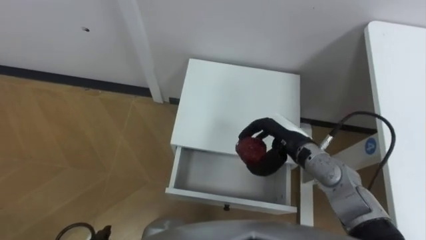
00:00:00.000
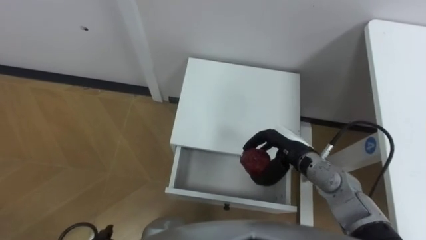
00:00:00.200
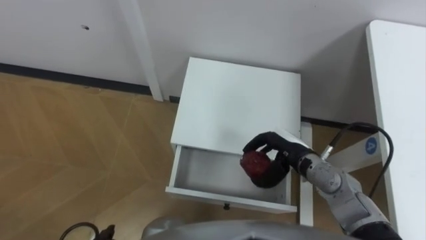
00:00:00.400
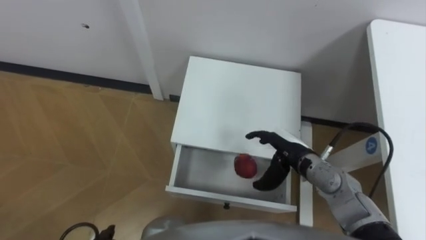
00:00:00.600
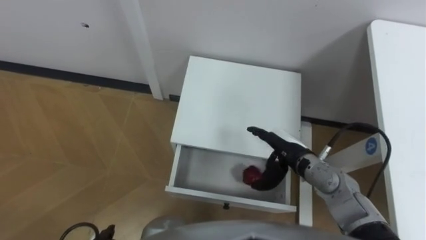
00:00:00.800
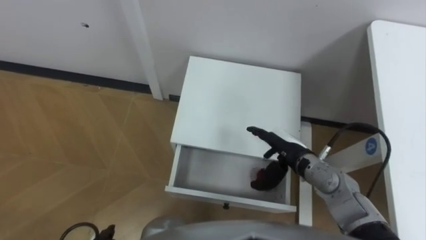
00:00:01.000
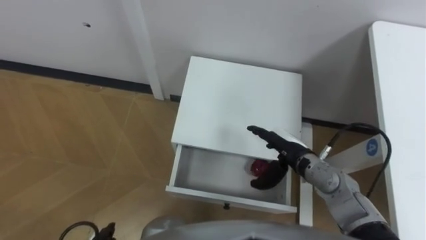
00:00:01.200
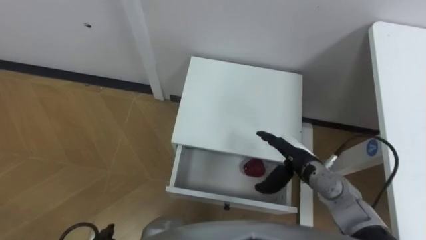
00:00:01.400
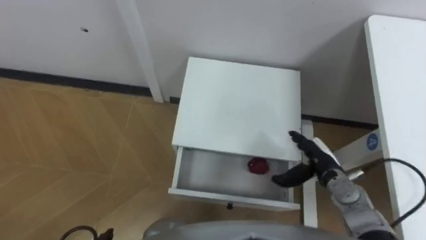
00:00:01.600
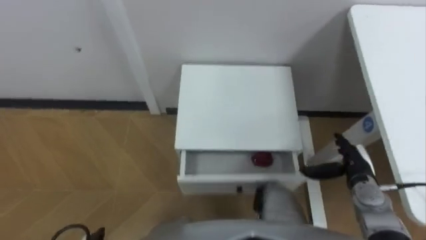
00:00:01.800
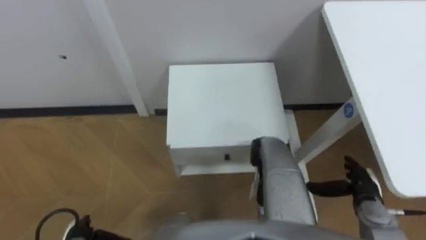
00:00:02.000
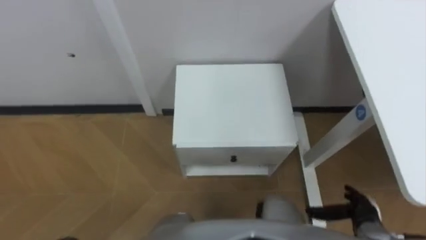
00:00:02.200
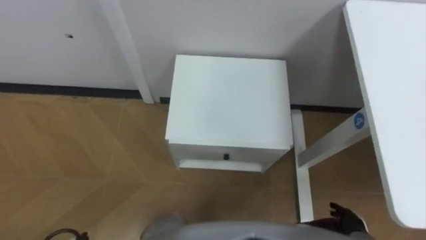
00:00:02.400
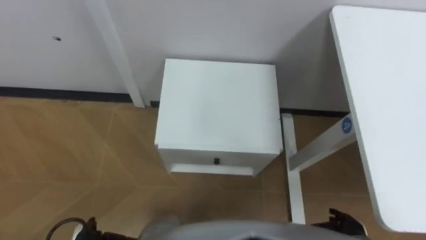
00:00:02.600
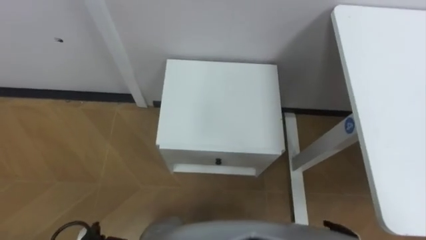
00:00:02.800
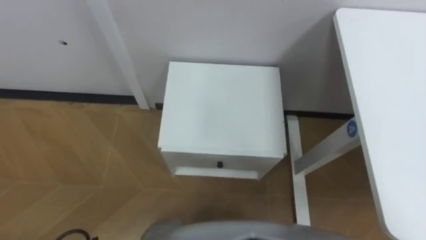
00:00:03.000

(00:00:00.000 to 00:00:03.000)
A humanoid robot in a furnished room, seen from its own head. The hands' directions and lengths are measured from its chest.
Task of the whole recording: Pick up the apple from the table, put it in the drawer, and close the drawer with leg.
00:00:00.000 - 00:00:01.600: The right hand heads to the right and downward, covering about 10 cm, and opens its fingers.

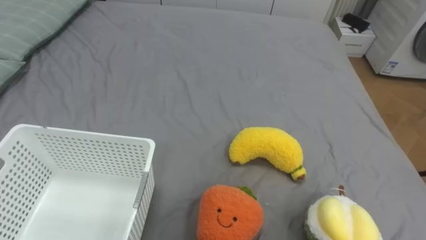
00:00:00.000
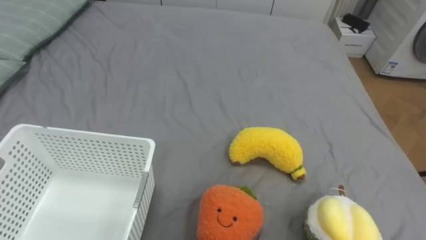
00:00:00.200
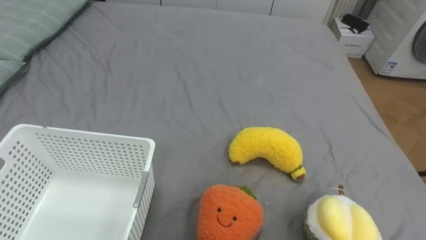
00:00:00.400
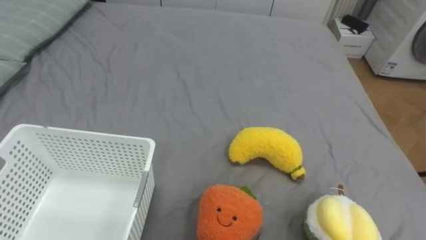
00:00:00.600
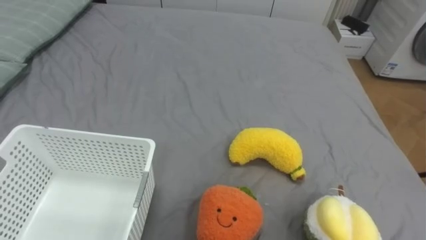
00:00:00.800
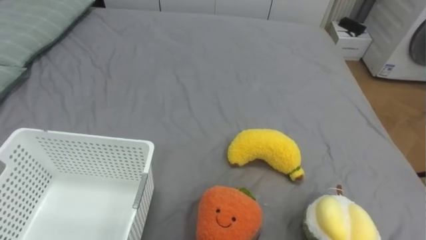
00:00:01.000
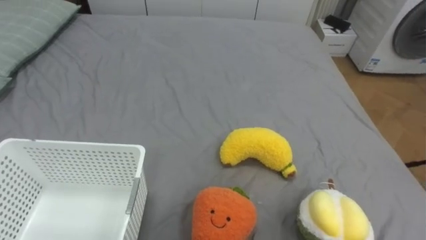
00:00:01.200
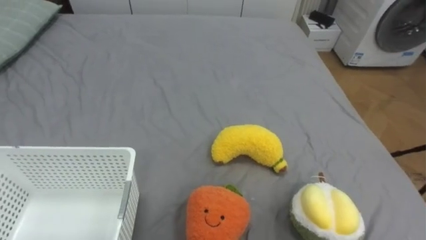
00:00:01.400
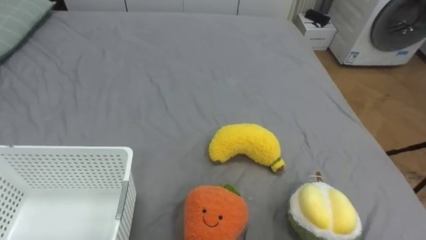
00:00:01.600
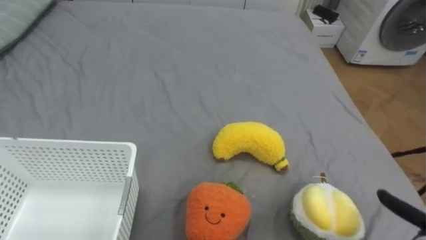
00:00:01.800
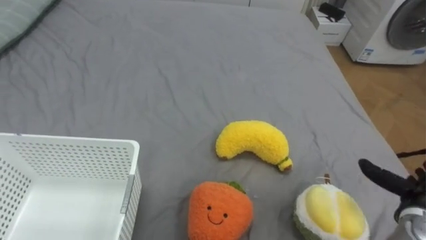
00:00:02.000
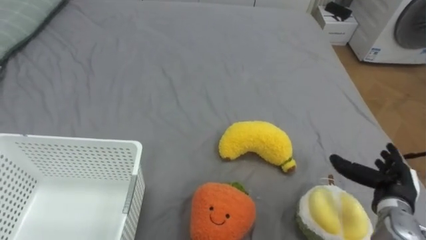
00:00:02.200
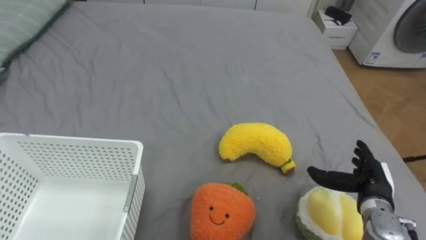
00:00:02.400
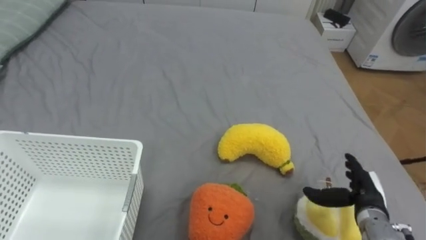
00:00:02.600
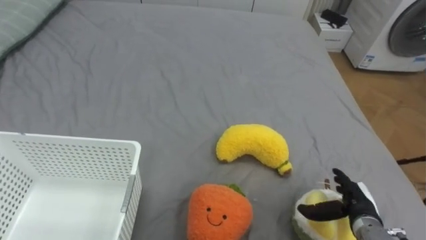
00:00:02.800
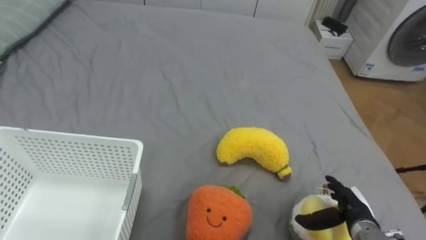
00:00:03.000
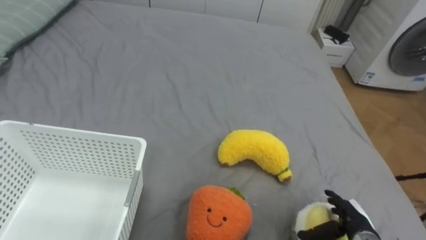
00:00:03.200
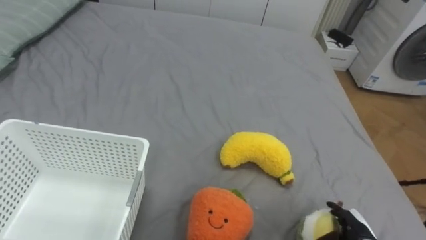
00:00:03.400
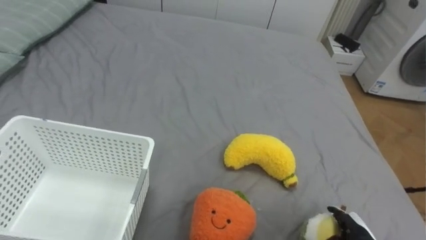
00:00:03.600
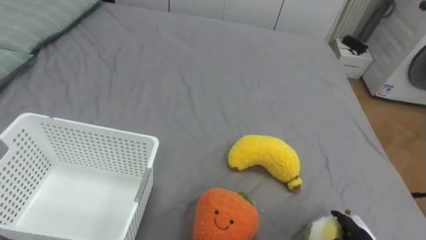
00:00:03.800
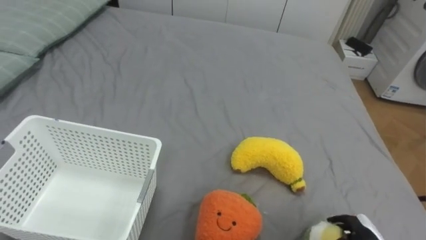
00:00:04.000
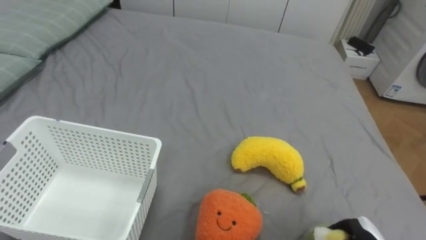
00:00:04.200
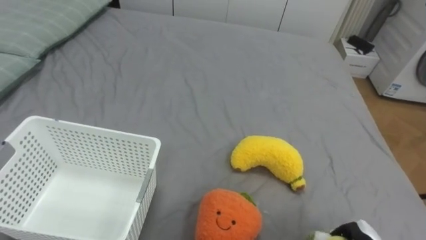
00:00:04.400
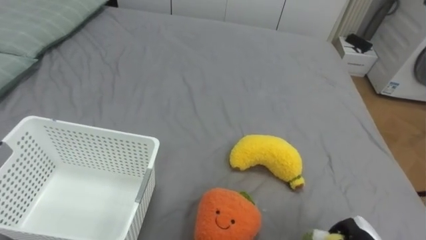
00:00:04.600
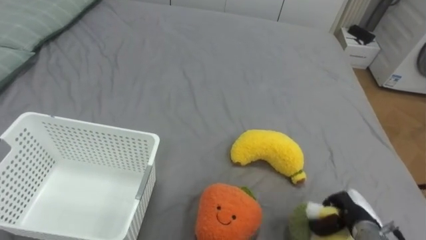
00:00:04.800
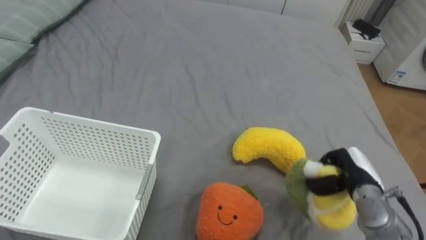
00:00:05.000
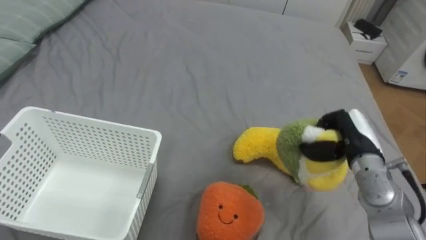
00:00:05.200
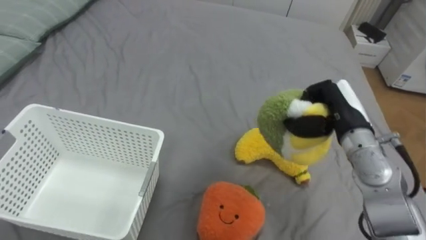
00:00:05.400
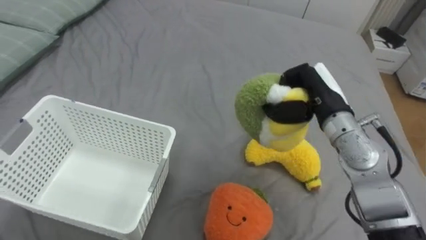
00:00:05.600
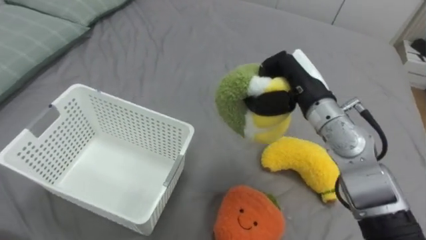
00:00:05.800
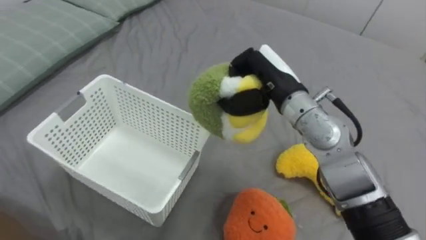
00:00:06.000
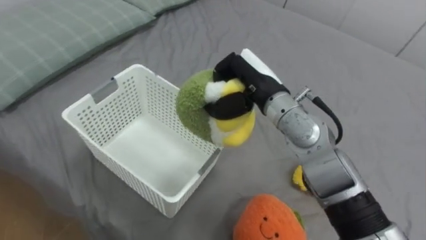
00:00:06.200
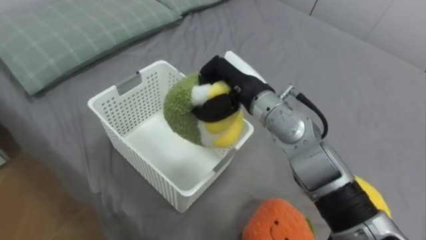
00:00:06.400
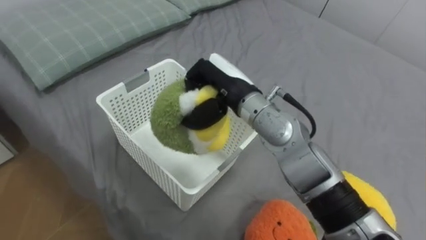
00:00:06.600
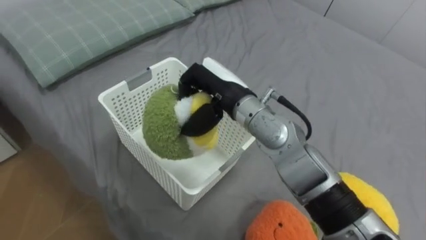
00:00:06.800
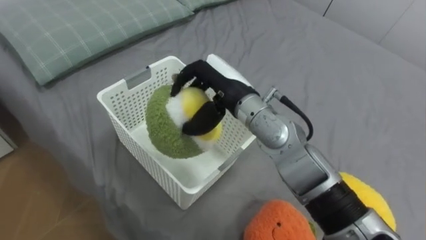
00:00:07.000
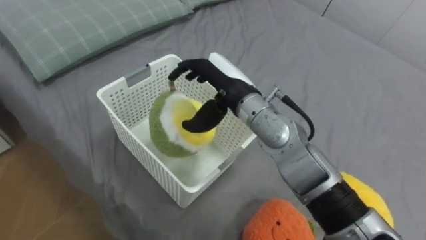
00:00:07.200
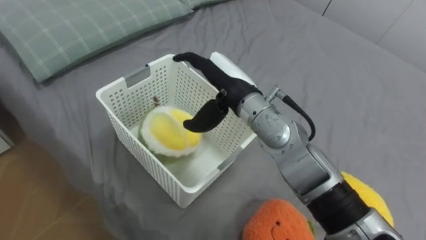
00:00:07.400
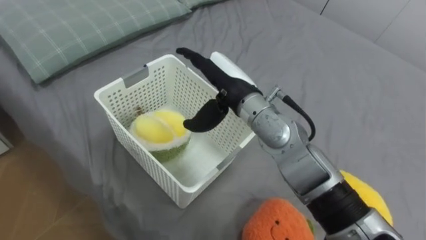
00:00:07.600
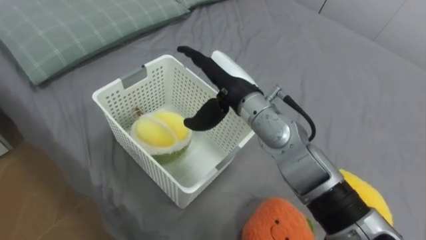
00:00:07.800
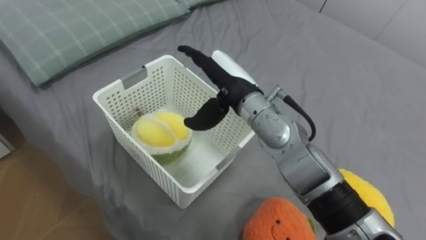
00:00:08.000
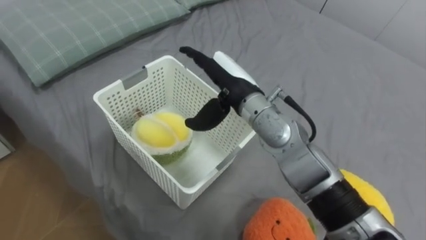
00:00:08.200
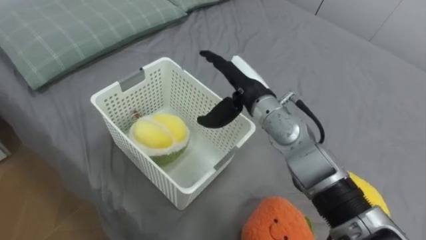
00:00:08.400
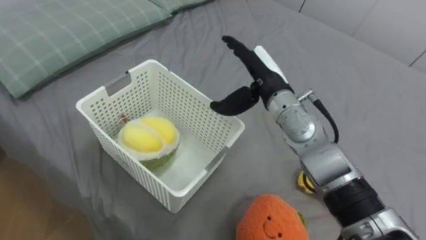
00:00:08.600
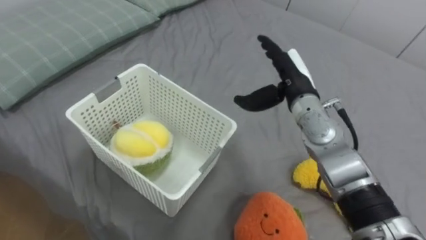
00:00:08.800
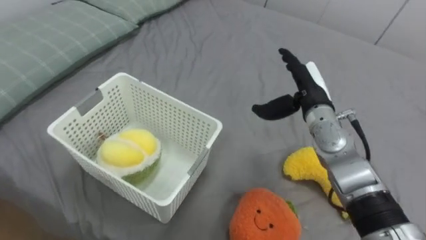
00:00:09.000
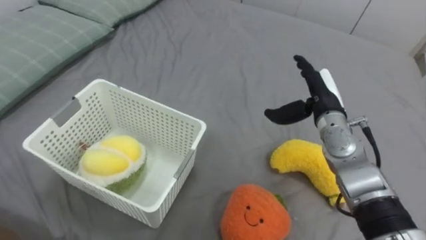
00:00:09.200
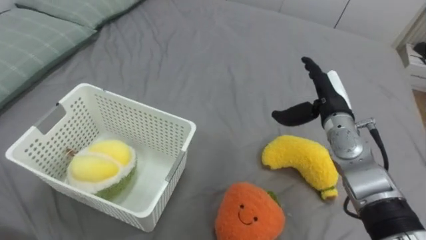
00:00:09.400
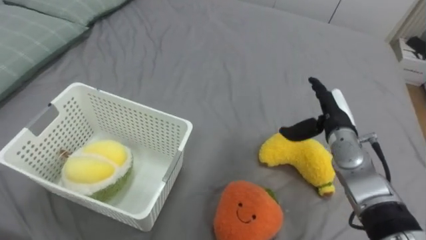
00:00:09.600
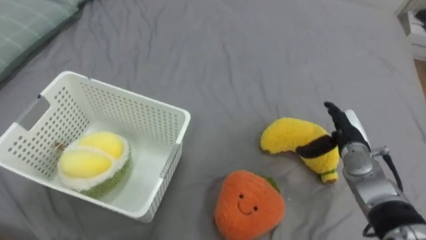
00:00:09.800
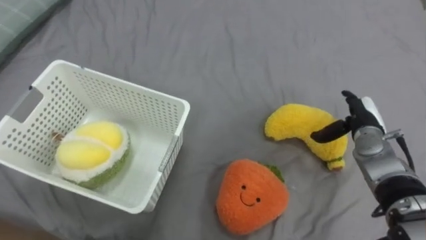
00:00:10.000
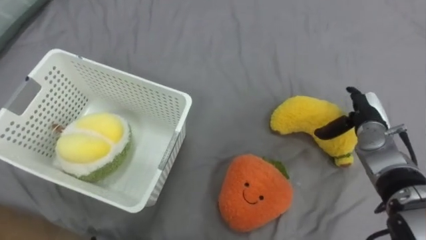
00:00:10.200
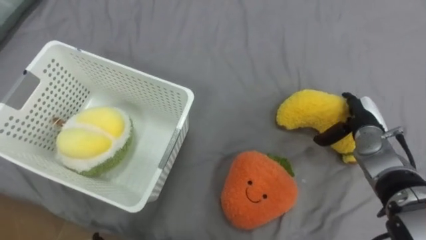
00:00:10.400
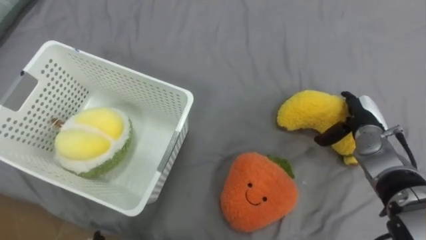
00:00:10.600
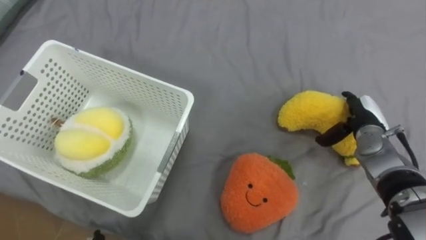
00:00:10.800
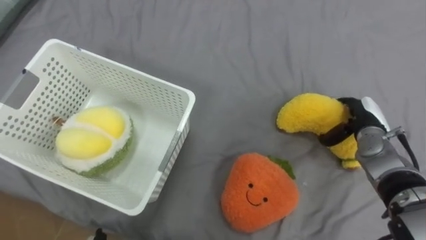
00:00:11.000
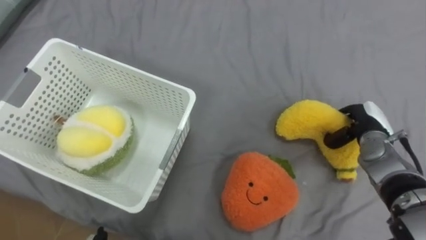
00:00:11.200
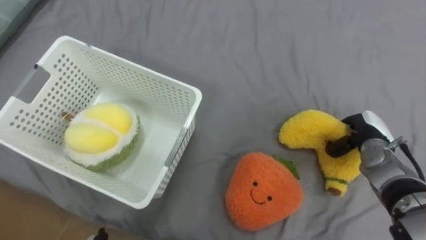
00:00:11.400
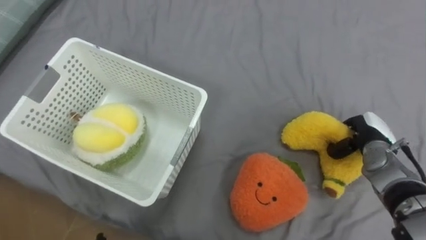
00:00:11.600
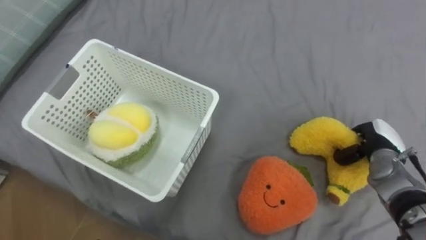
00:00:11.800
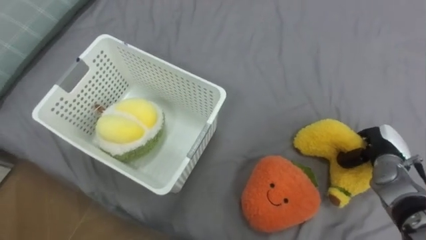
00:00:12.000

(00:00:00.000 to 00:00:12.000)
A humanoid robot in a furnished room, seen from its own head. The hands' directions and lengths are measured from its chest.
Task of the whole recording: Put the toys on the bed into the basket on the left.
00:00:06.000 - 00:00:07.600: The right hand heads to the left, covering about 10 cm, and opens up.
00:00:07.600 - 00:00:09.000: The right hand shifts about 15 cm to the right.
00:00:09.000 - 00:00:10.400: The right hand is displaced to the right and downward by roughly 15 cm.
00:00:10.400 - 00:00:12.000: The right hand ends up approximately 5 cm from where it was, and closes.

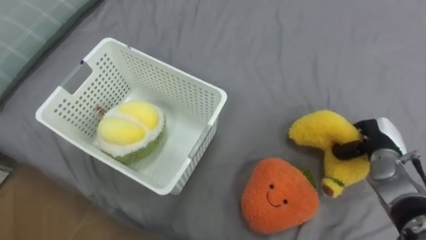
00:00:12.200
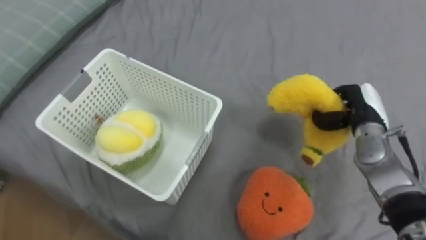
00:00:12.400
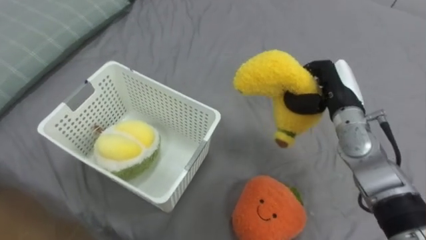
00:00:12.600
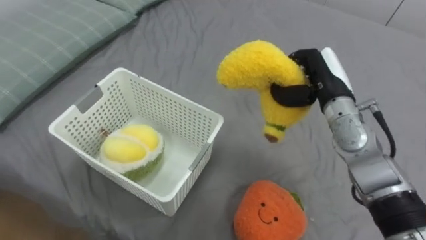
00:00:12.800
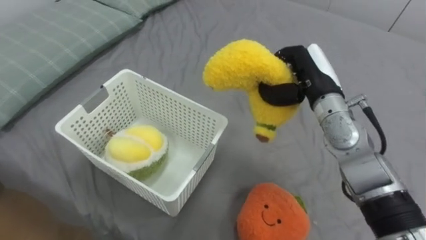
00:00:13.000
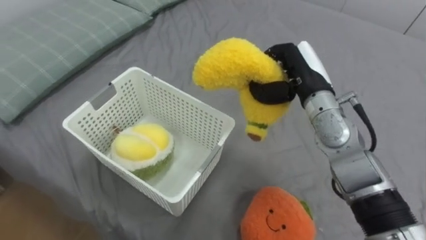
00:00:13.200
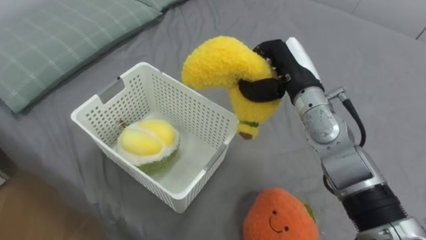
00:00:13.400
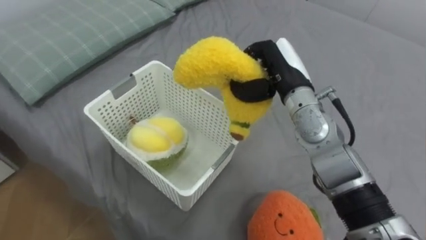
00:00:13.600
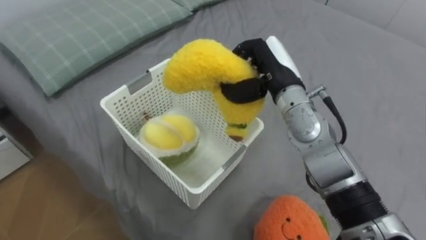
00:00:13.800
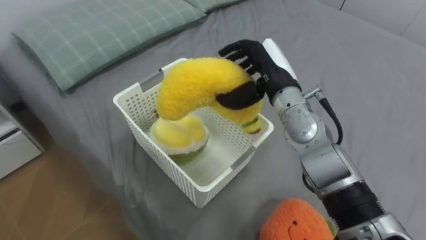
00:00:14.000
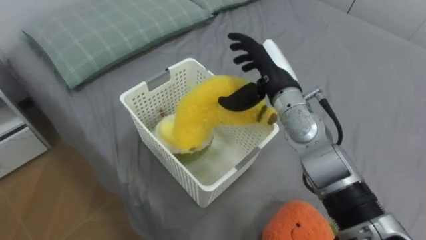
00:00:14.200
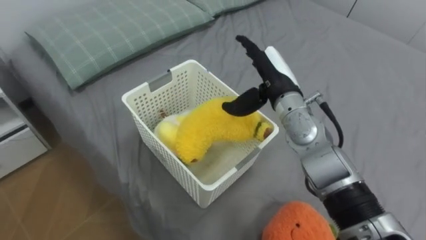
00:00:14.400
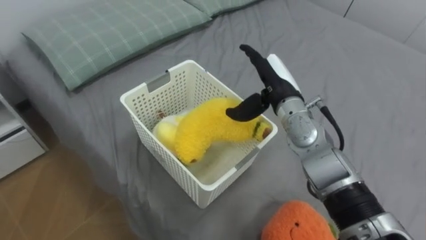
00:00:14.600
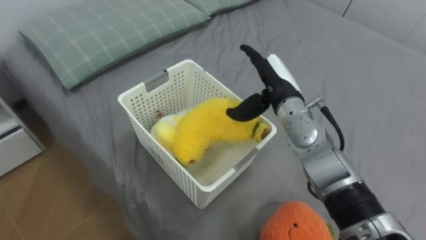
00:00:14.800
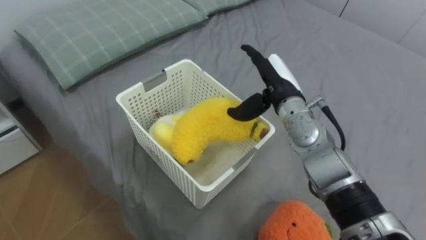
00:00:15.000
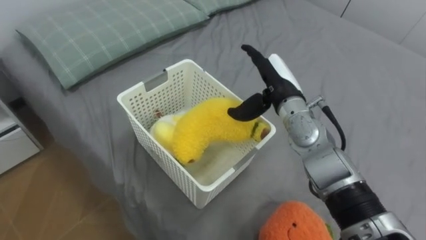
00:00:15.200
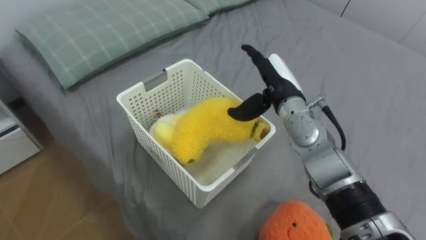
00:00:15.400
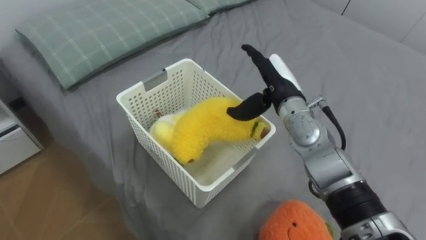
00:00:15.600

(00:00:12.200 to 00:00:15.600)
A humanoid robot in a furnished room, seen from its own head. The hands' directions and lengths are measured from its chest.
Task of the whole recording: Put the toys on the bed into the basket on the left.
00:00:12.200 - 00:00:13.800: The right hand heads to the left and upward, covering about 30 cm.
00:00:13.800 - 00:00:15.600: The right hand opens.
